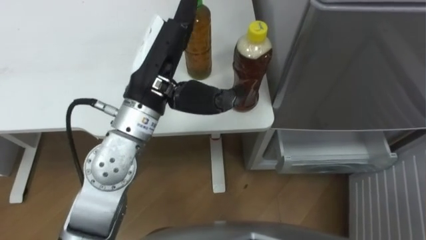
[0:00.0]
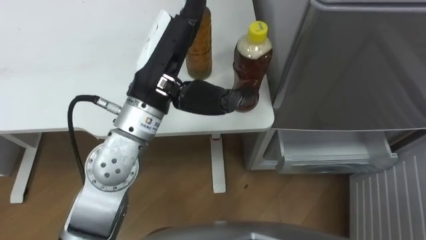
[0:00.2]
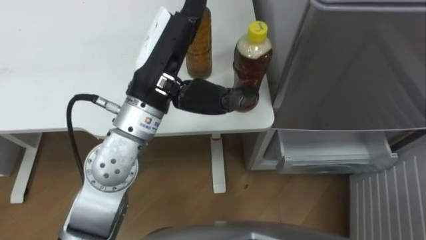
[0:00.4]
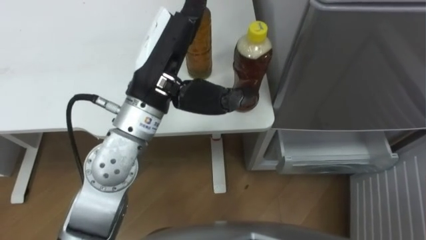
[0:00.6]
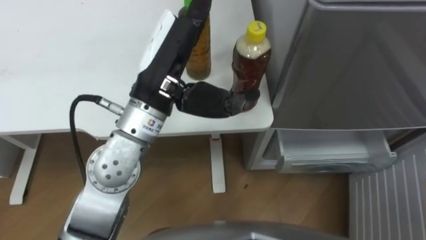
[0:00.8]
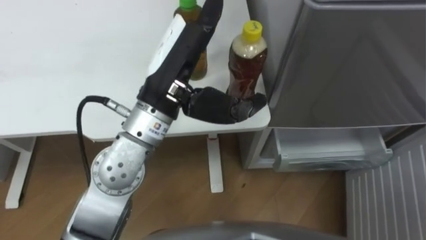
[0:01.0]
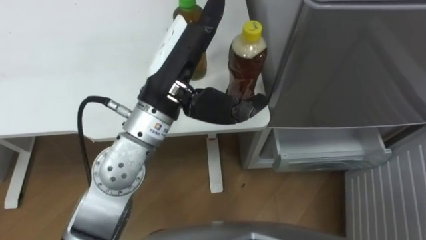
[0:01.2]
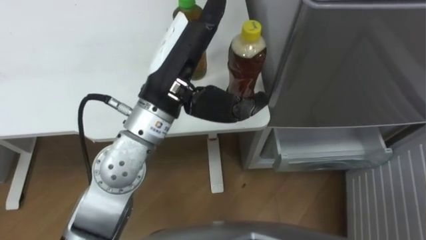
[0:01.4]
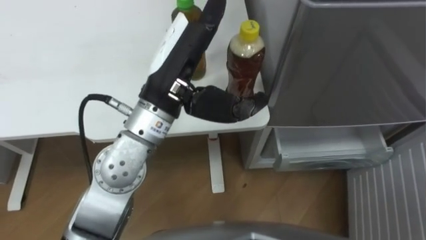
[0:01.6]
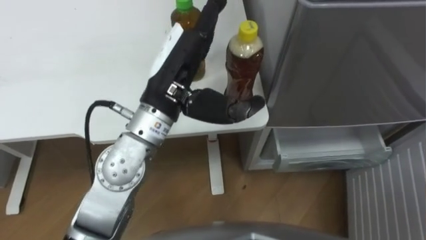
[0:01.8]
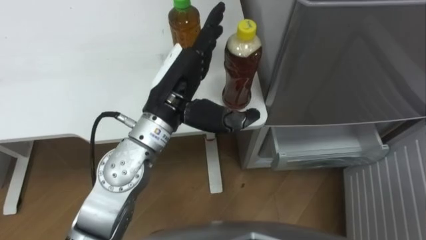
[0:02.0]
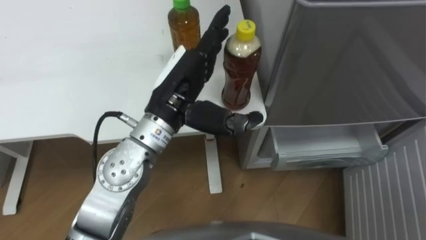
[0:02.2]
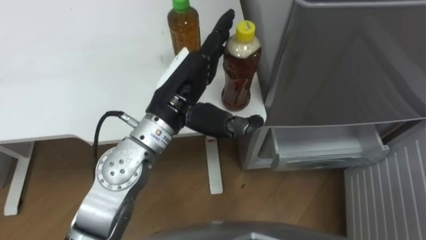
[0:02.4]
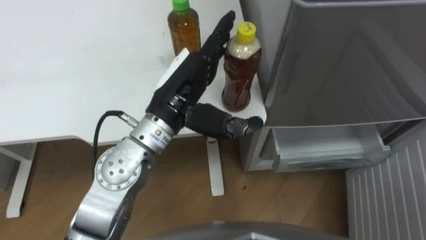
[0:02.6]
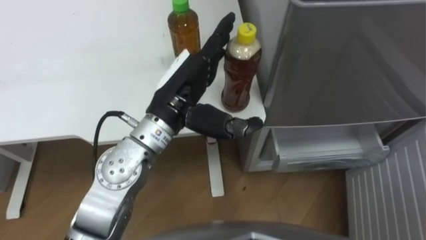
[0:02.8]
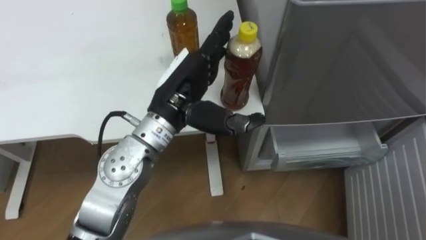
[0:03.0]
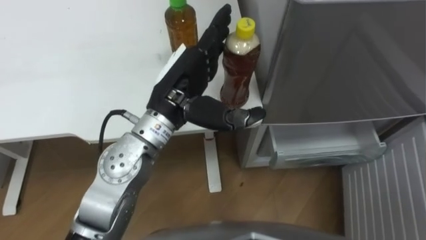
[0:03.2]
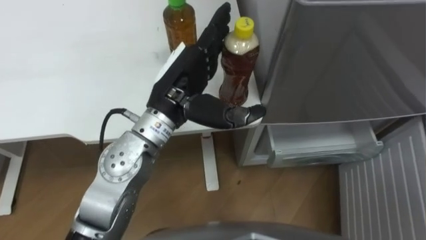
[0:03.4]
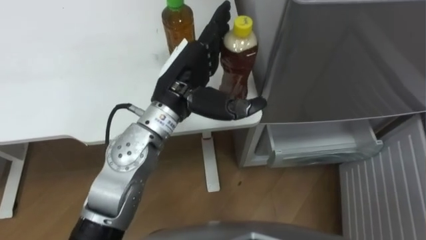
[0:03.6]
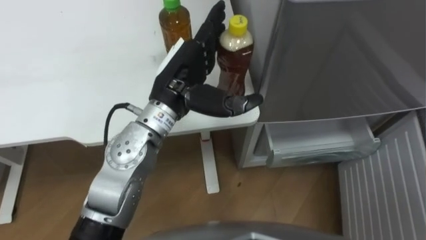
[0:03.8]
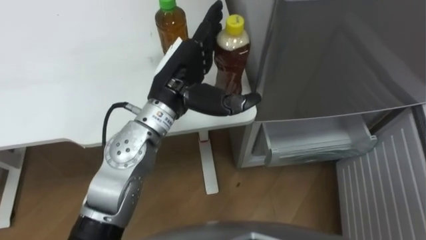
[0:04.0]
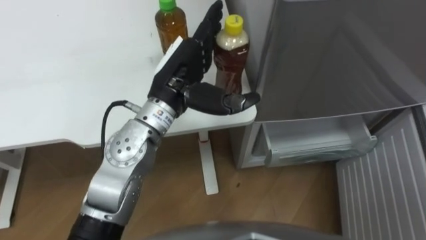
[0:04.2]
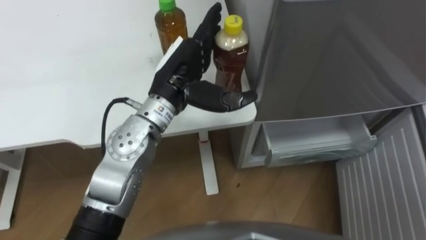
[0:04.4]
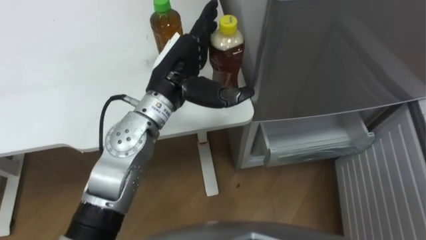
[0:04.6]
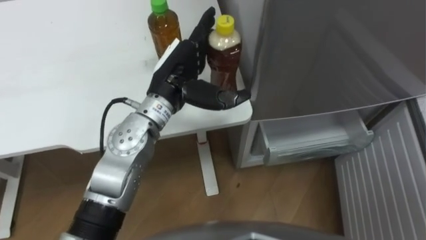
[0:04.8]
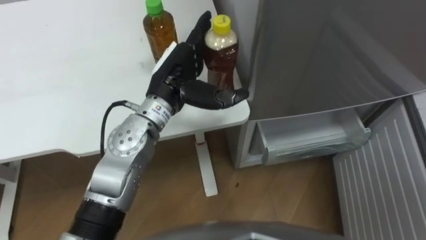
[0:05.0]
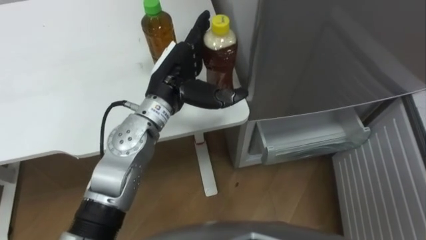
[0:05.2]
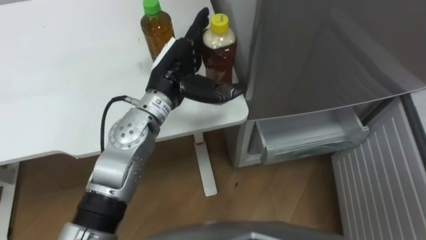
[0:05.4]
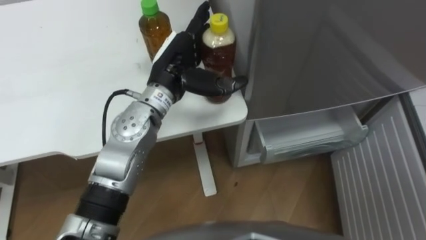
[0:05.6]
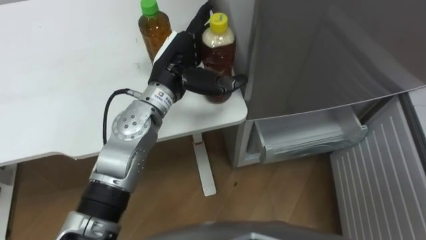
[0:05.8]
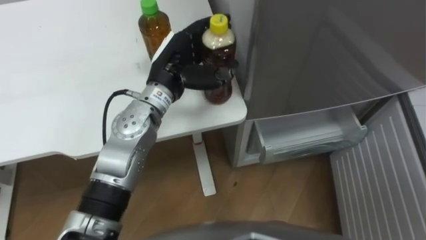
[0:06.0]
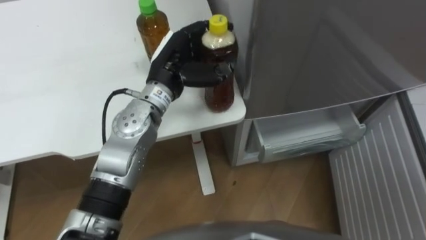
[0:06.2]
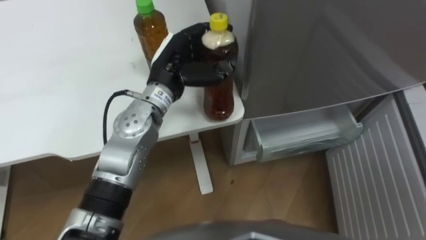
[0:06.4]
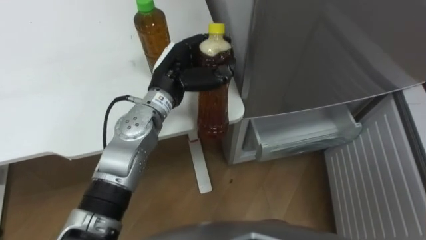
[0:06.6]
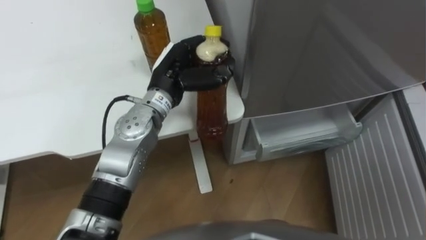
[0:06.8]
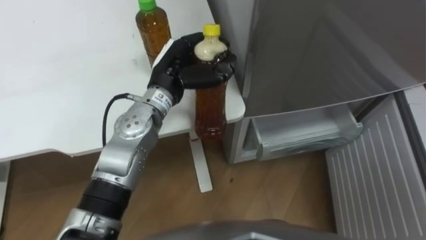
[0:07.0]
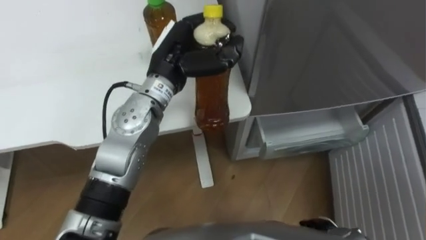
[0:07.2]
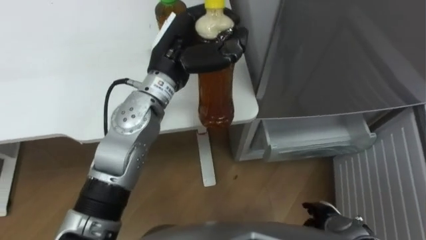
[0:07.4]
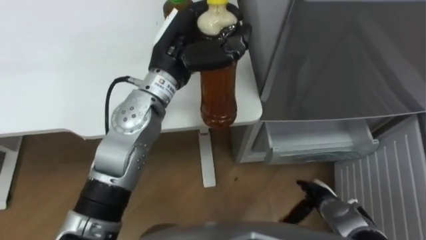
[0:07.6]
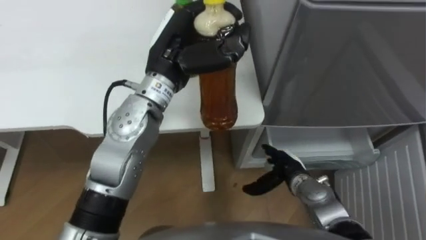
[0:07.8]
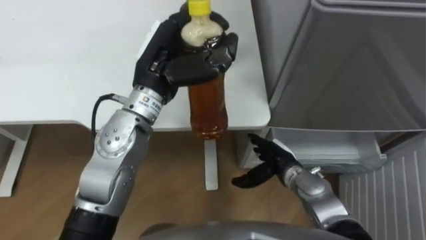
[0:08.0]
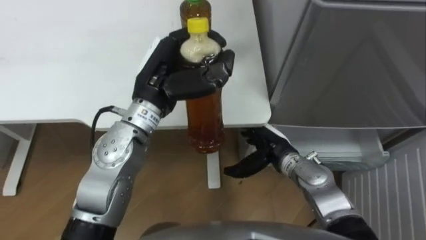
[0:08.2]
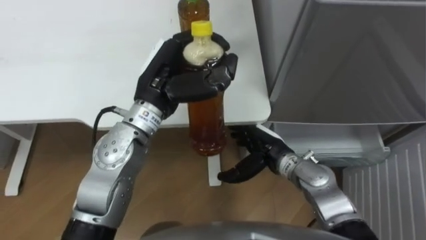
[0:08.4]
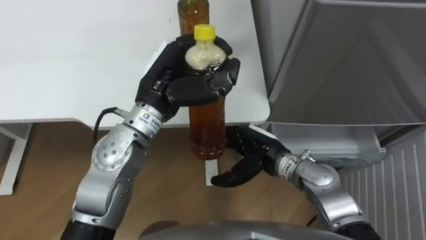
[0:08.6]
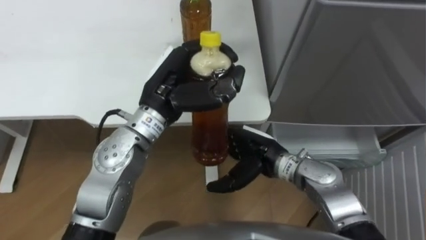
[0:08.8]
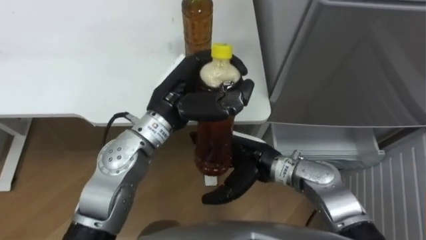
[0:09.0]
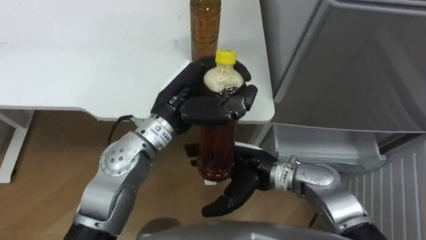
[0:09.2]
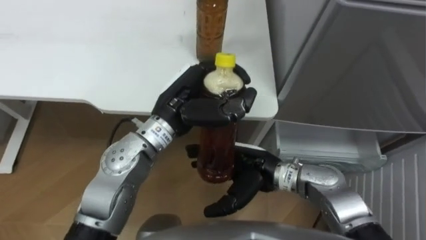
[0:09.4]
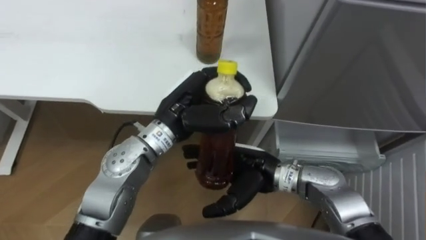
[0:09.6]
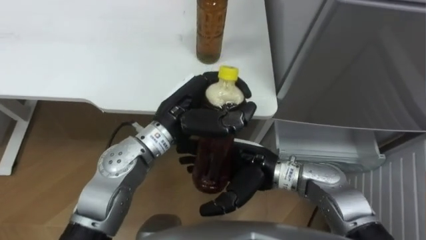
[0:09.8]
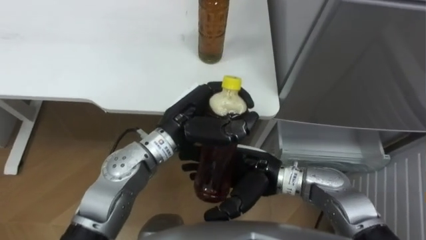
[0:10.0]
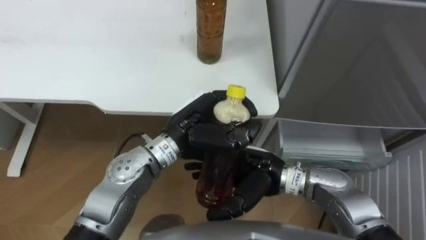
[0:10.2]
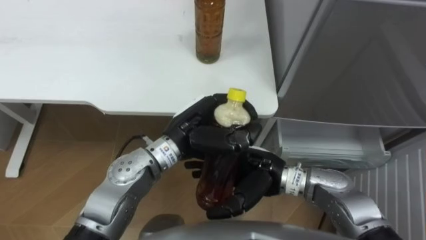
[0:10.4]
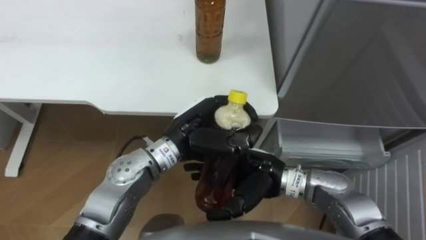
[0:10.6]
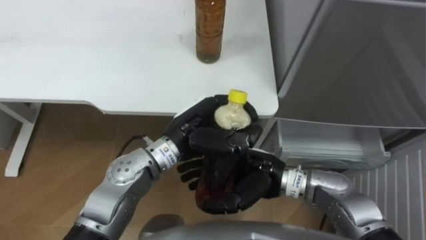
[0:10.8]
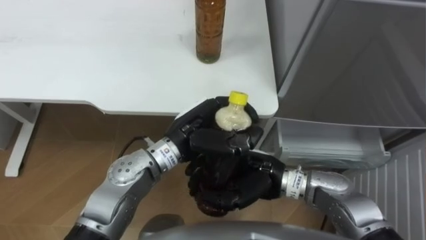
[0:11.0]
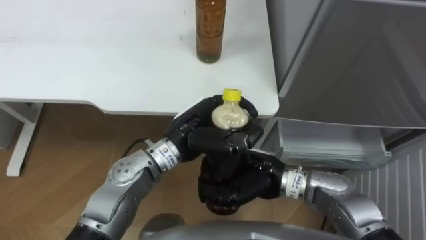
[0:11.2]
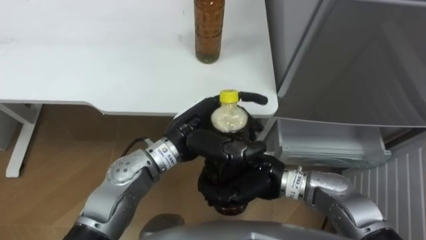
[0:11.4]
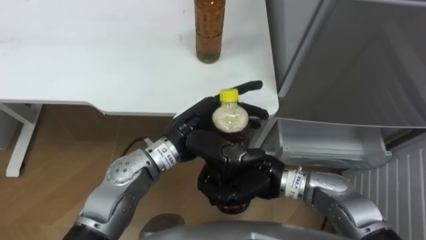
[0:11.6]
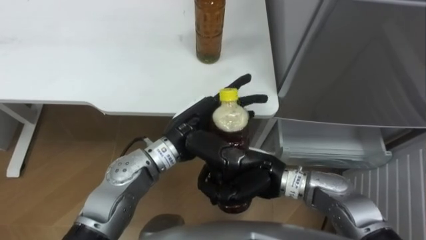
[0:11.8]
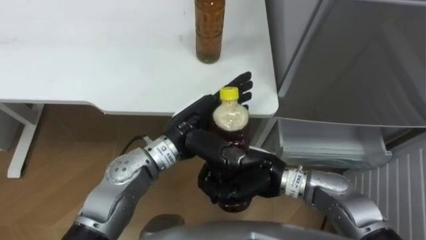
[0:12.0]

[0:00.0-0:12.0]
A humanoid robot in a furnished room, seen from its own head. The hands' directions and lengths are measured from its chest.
Task of the whole recording: Place the drink on the table on the bottom shelf of the refrigerator, then close the drawer and the refrigerator door.
0:01.6 to 0:03.0: The left hand shifts approximately 5 cm downward.
0:06.0 to 0:07.6: The left hand closes.
0:07.6 to 0:09.0: The right hand travels to the left, upward and forward by about 25 cm; the left hand heads backward, covering approximately 5 cm.
0:09.0 to 0:10.4: The left hand moves downward, some 5 cm.
0:10.4 to 0:12.0: The right hand closes up, while the left hand opens its fingers.

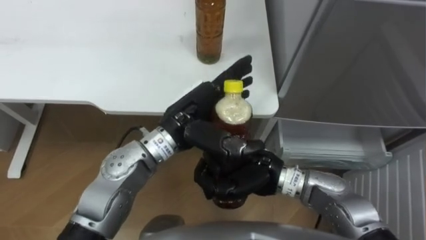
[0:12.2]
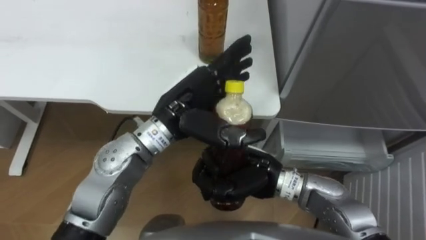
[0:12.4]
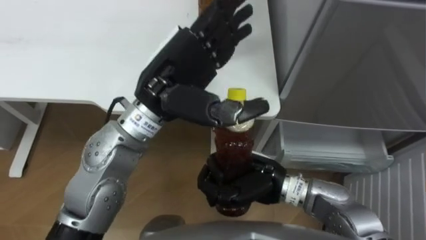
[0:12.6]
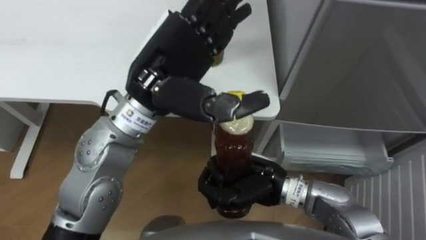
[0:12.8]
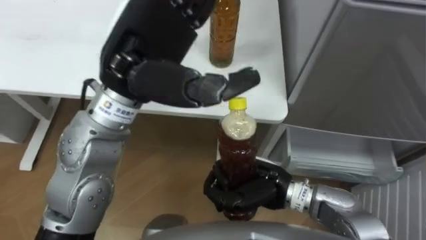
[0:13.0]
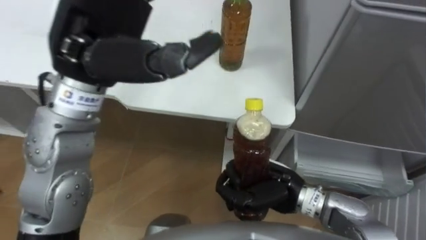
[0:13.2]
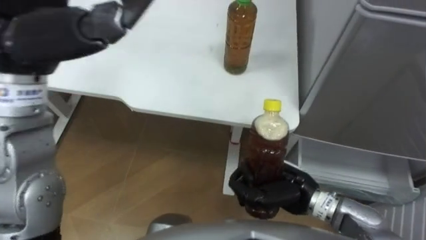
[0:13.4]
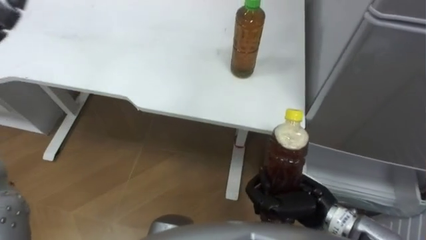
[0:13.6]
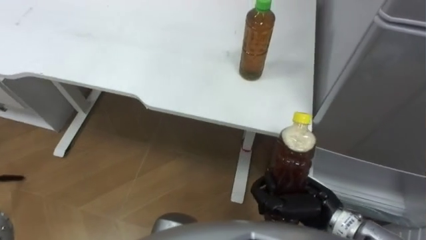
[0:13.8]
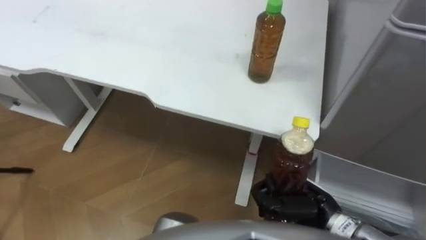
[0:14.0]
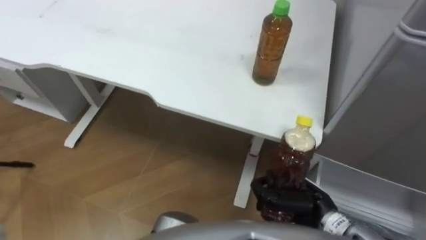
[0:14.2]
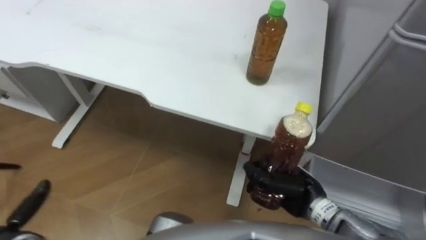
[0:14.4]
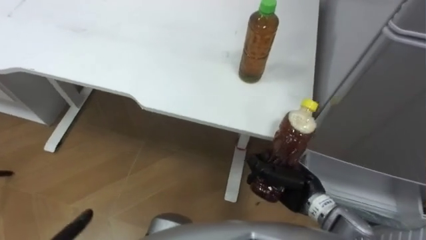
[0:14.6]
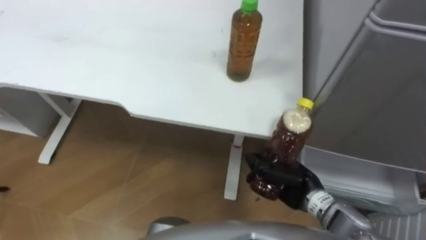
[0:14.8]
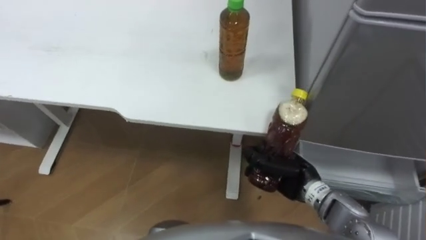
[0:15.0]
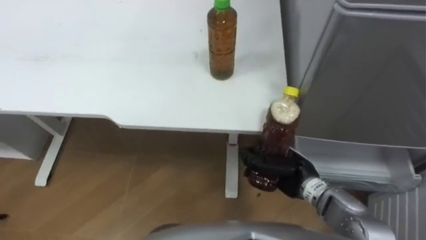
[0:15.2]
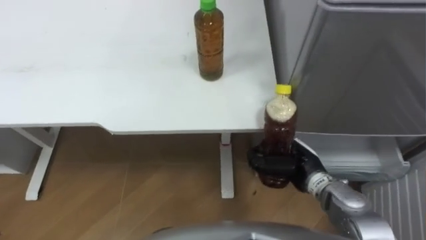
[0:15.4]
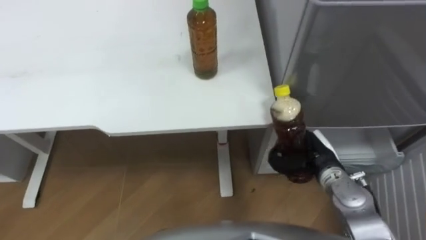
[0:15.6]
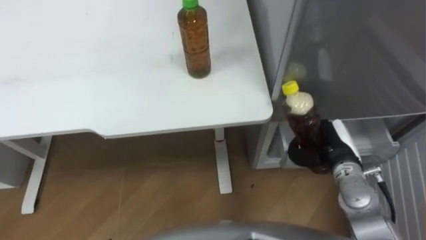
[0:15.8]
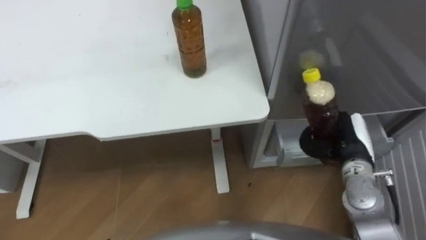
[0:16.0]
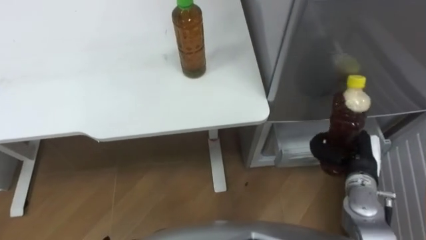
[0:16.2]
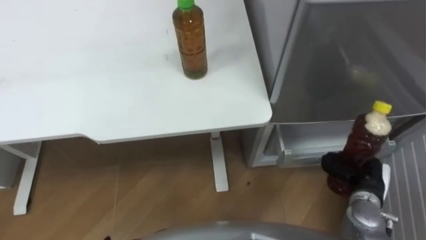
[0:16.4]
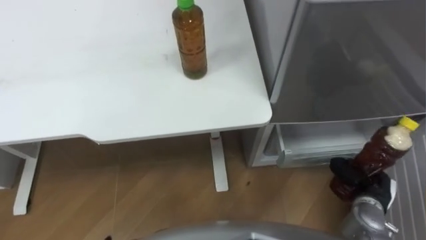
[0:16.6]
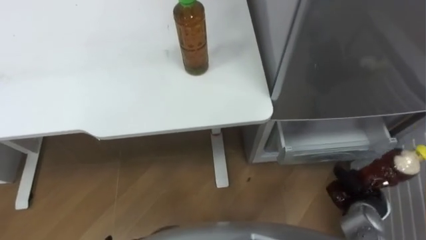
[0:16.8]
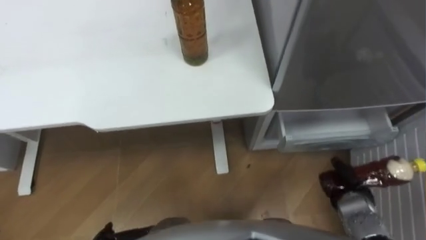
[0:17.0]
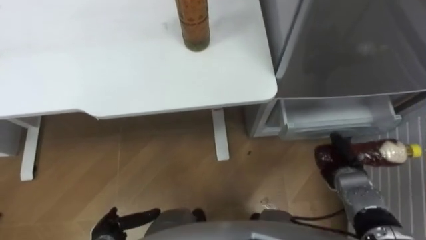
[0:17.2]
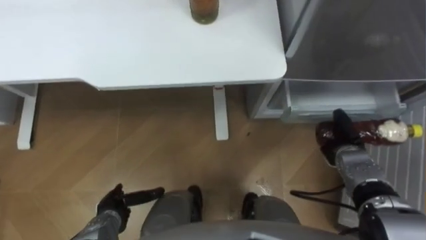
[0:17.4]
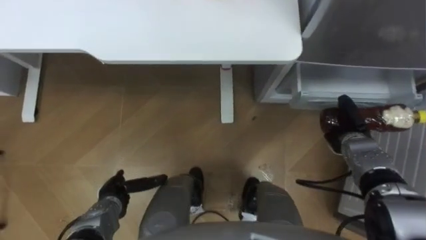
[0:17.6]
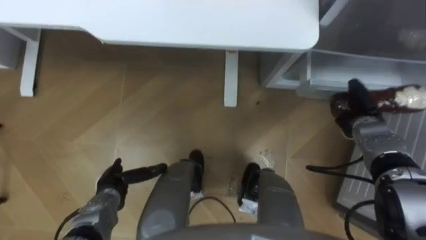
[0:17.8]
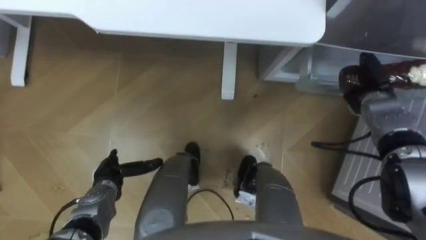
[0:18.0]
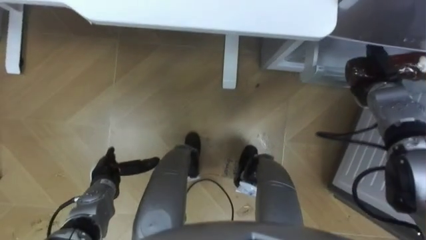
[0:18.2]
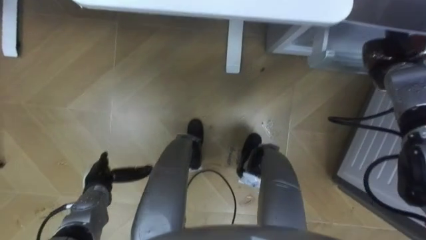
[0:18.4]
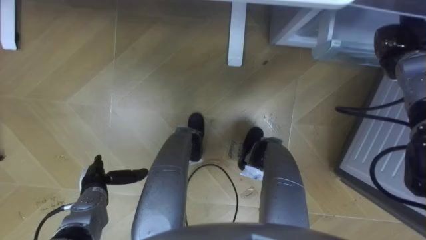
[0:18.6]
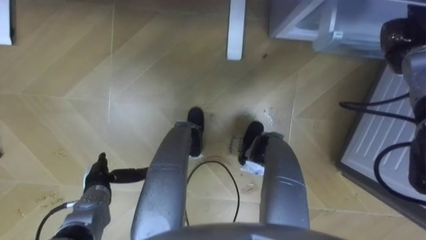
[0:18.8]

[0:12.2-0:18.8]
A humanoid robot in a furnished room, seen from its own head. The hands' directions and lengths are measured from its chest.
Task of the whole recording: Place the drink on the table on the bottom shelf of the refrigerator, then close the drawer and the refrigerator door.
0:12.2 to 0:13.8: The right hand heads to the right, covering approximately 10 cm.
0:13.8 to 0:15.4: The right hand shifts approximately 5 cm forward.
0:15.4 to 0:17.2: The right hand shifts approximately 15 cm to the right and downward.
0:17.2 to 0:18.8: The right hand moves forward, upward and to the right, some 30 cm. The left hand shifts about 10 cm forward.
